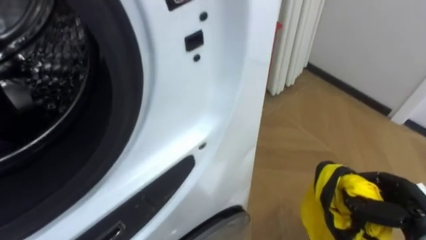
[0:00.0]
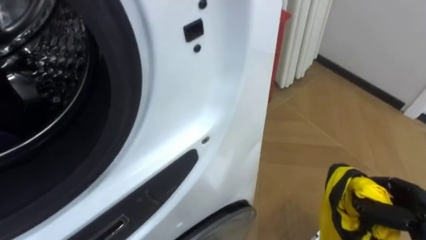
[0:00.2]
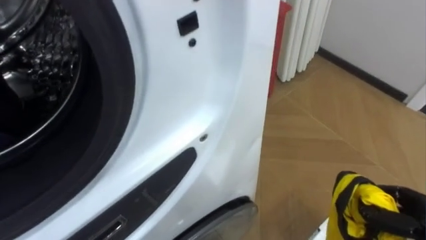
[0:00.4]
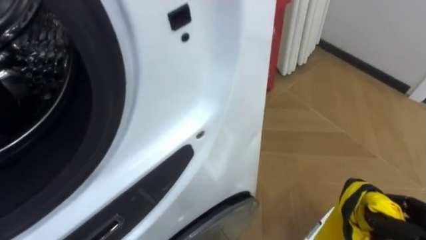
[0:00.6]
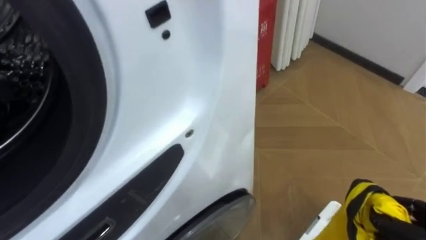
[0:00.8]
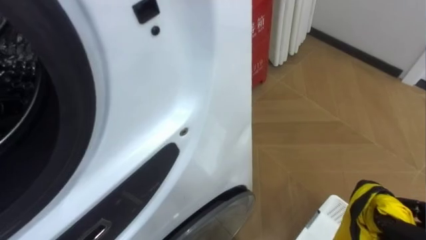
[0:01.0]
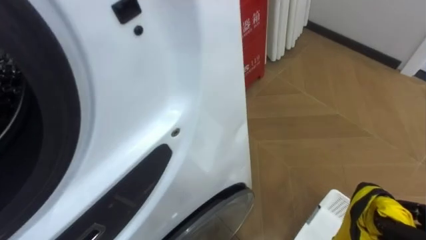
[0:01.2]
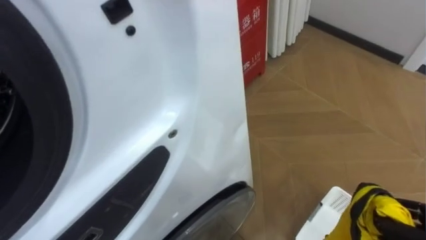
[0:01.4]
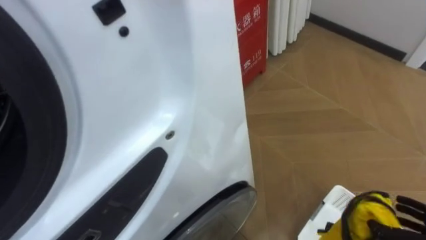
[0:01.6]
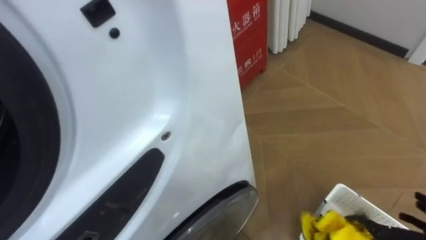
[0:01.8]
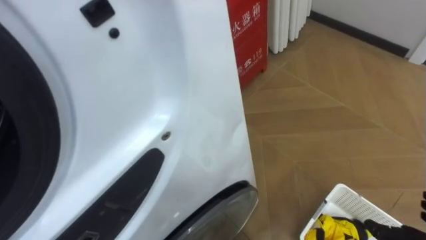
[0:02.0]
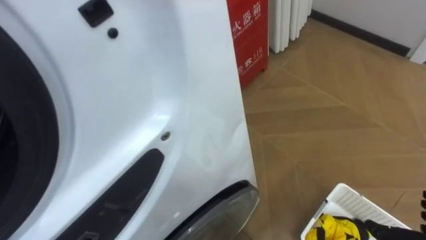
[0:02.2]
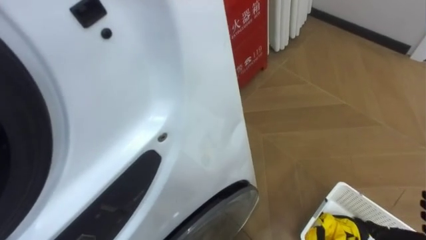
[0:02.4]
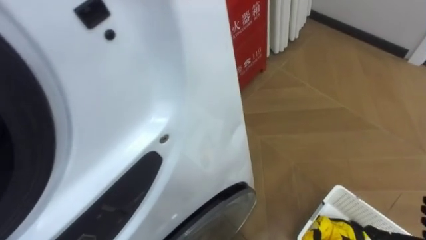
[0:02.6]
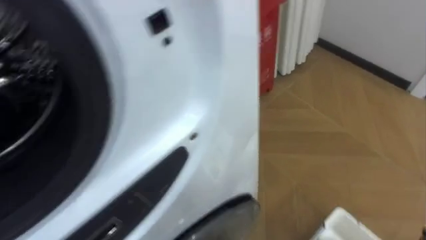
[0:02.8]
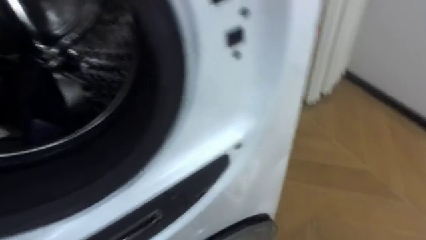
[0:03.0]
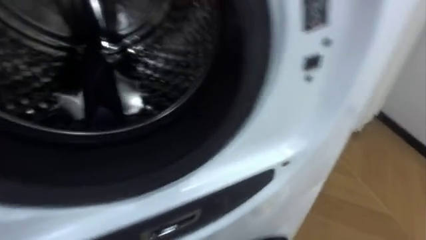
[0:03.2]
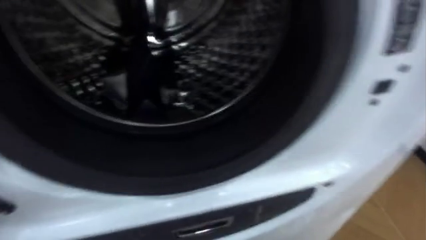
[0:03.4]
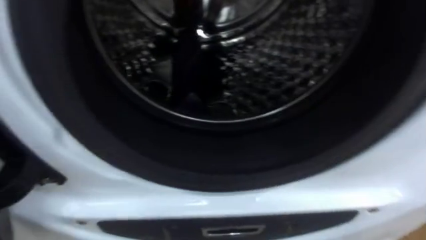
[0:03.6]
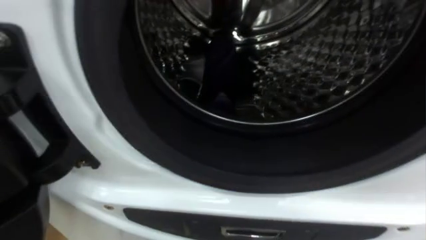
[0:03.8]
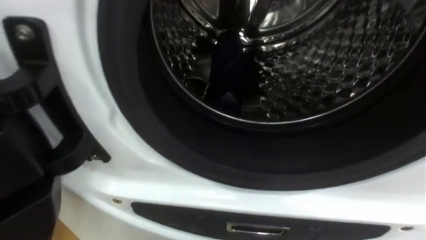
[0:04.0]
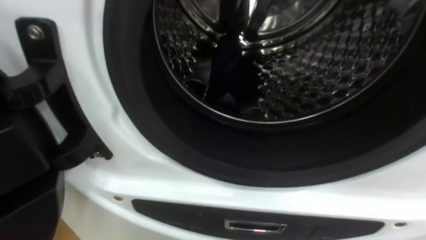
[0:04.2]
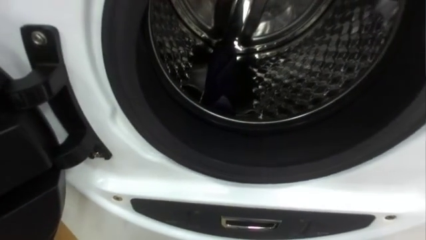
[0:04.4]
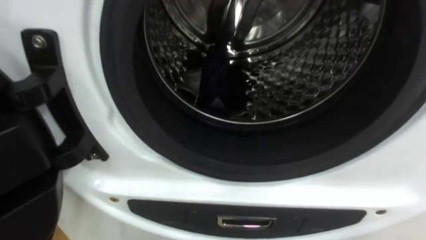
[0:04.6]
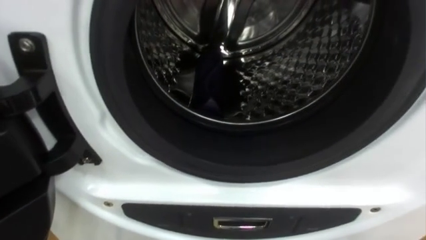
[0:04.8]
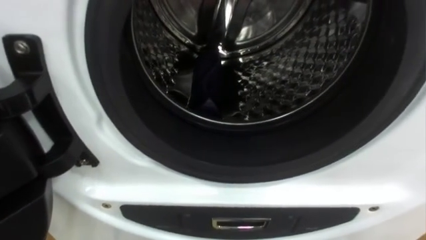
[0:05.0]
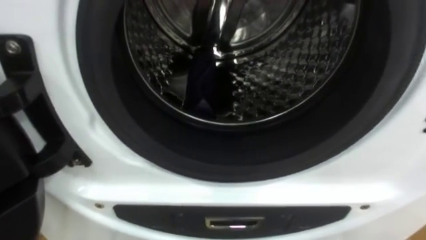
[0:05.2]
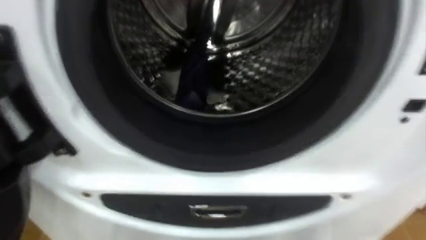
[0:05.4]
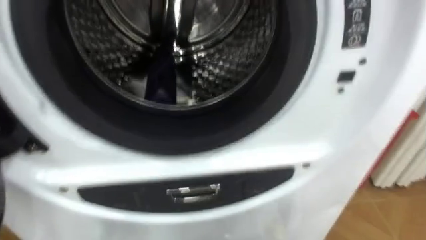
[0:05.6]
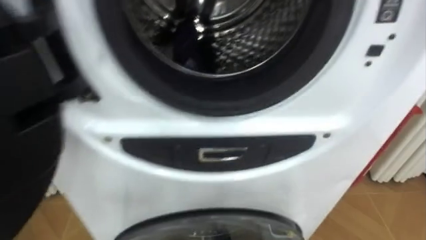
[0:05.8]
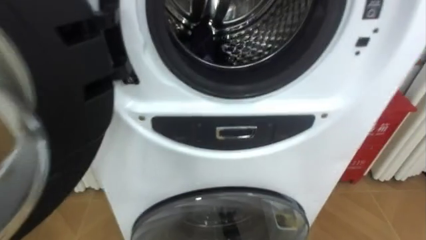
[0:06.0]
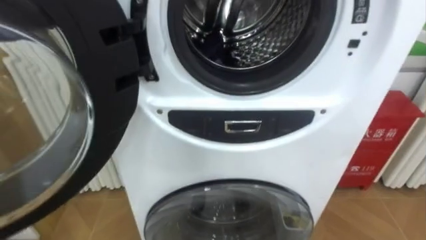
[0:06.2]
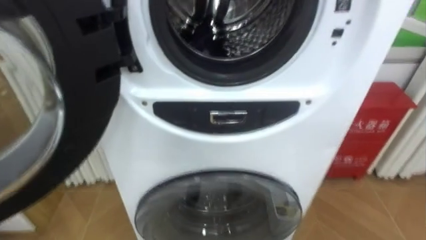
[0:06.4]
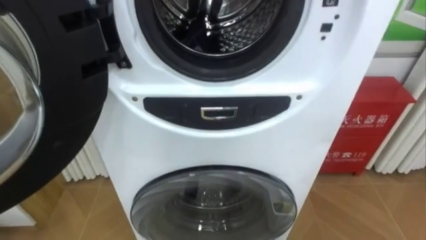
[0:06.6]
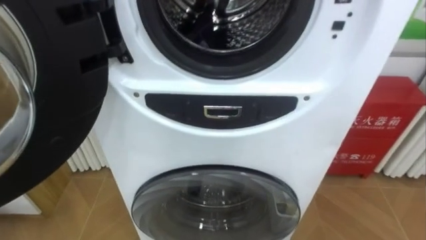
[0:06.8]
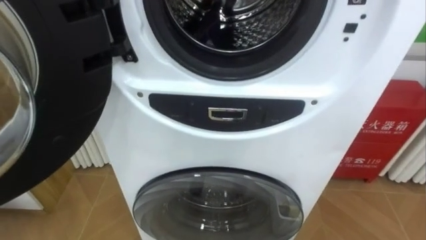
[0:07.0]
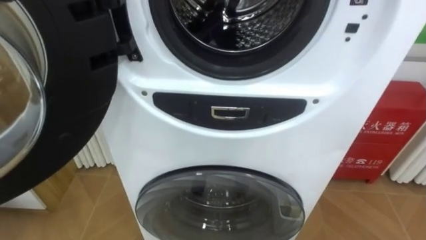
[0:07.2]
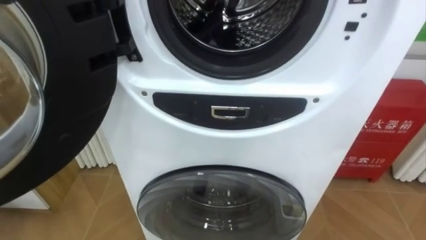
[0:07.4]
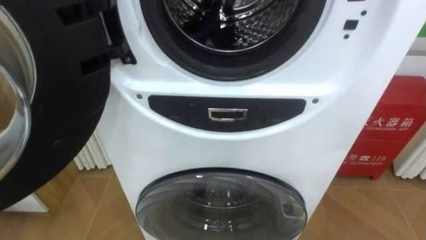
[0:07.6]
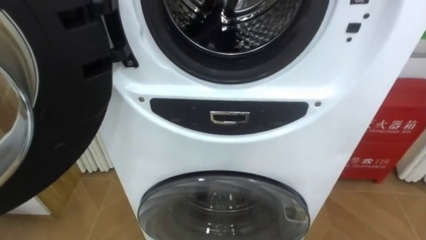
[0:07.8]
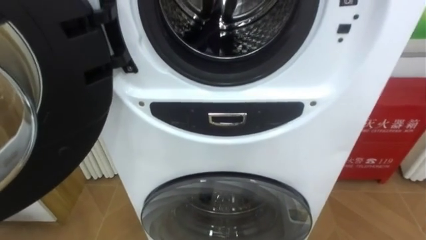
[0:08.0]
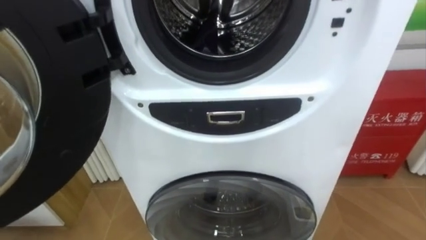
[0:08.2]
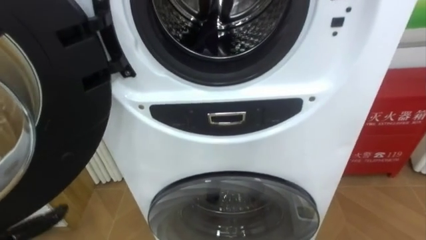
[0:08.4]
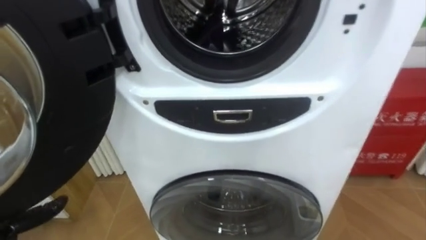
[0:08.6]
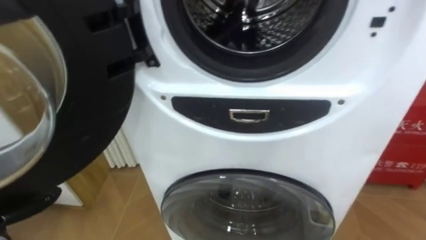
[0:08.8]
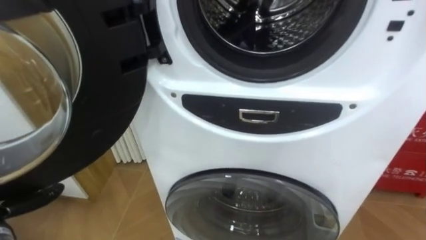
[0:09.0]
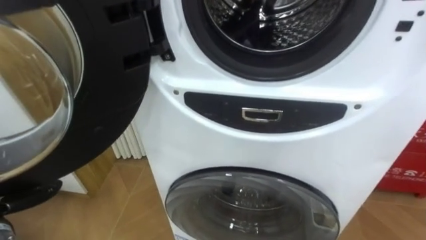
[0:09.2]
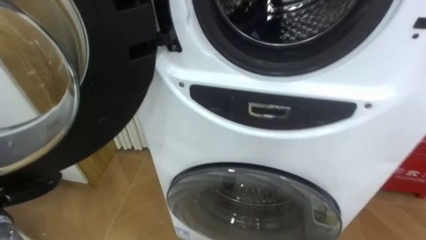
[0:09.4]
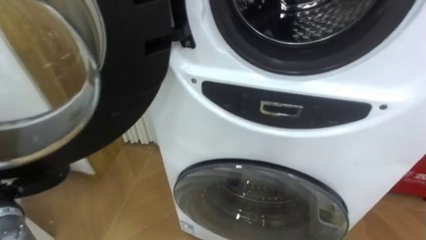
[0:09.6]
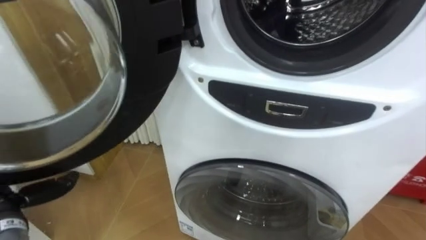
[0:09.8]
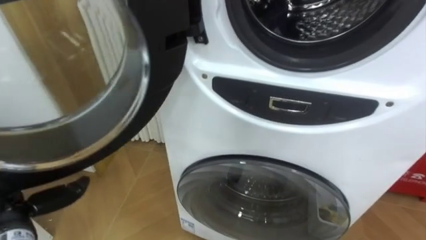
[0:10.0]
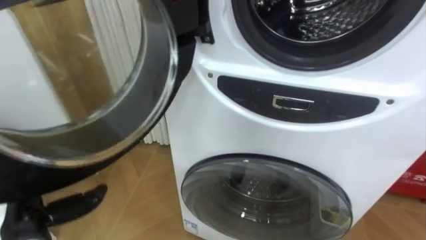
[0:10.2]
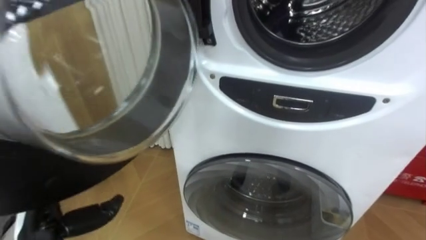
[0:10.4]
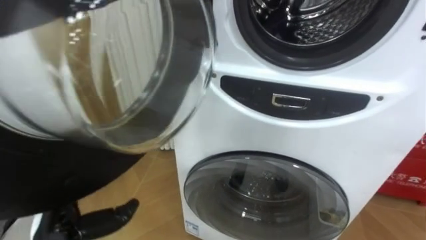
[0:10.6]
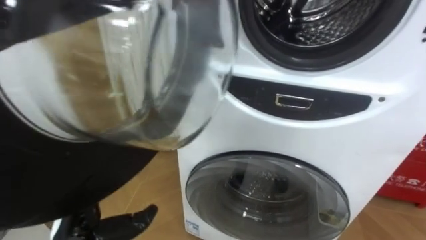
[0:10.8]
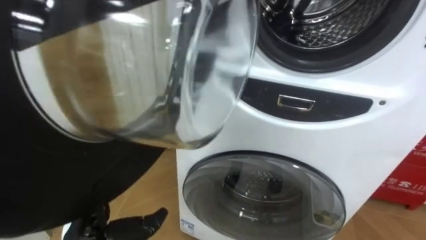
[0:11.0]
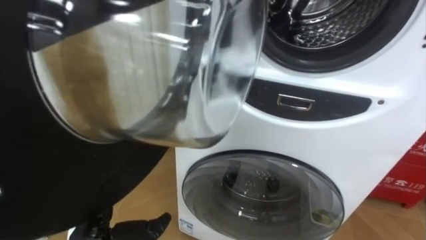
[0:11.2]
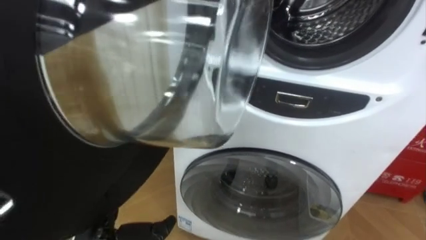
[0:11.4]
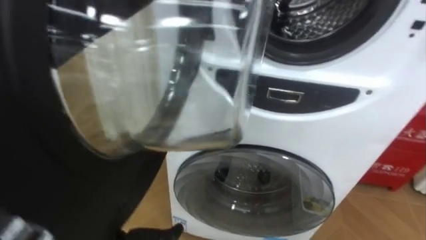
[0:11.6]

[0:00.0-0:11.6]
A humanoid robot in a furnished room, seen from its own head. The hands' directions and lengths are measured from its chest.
Task of the whole recording: Open the washing machine door, take out the yellow clothes, place them in the box on the right, and close the washing machine door.
0:10.2 to 0:11.6: The left hand travels to the right by about 10 cm.

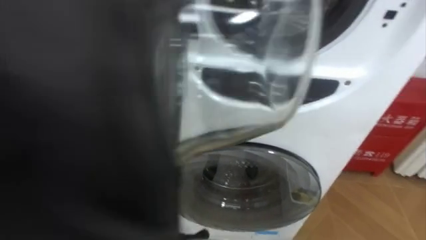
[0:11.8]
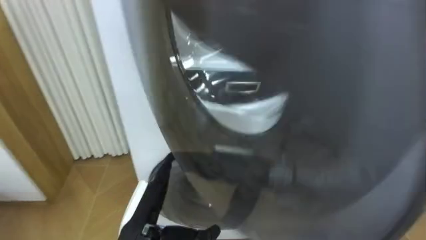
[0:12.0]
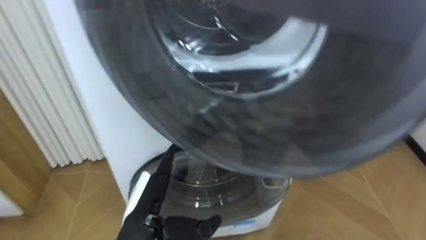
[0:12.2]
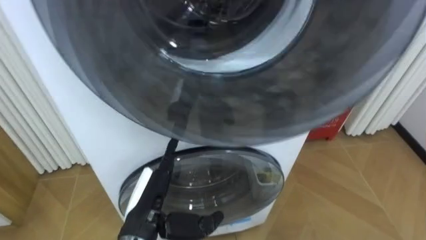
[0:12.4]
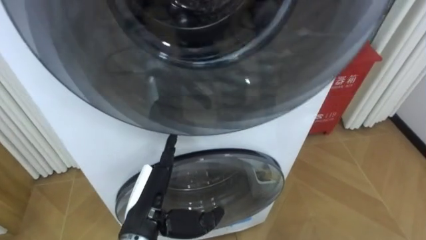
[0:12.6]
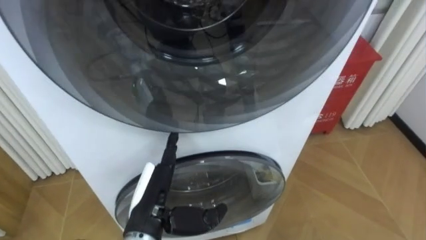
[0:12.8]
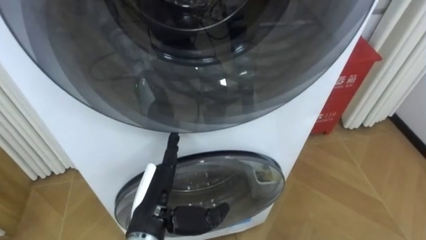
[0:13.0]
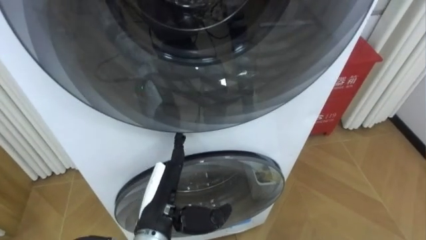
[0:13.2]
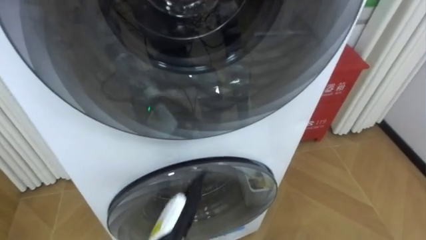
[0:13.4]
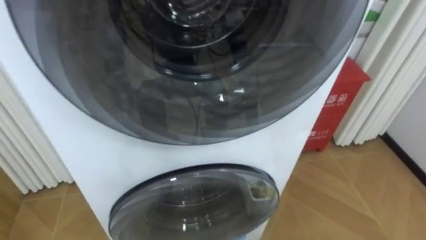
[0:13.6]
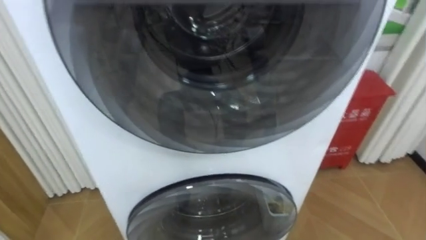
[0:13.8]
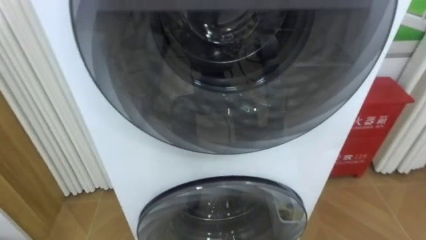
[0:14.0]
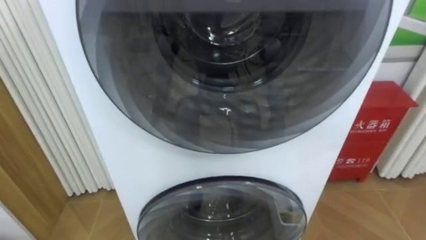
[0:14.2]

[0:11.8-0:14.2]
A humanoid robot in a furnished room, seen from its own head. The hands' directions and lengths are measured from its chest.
Task of the whole recording: Open the washing machine door, take out the yellow clothes, place them in the box on the right, and close the washing machine door.
0:11.8 to 0:13.0: The left hand changes place by about 5 cm.

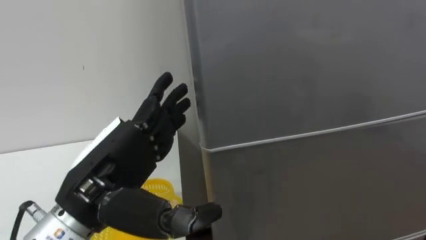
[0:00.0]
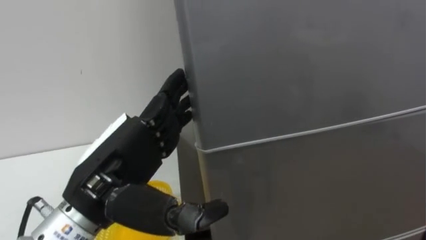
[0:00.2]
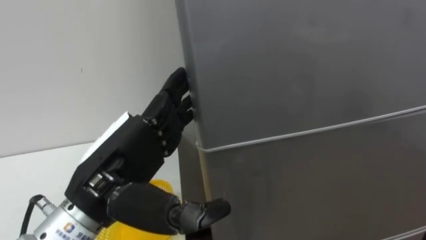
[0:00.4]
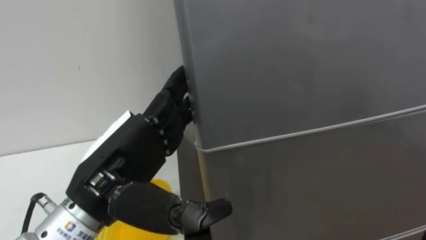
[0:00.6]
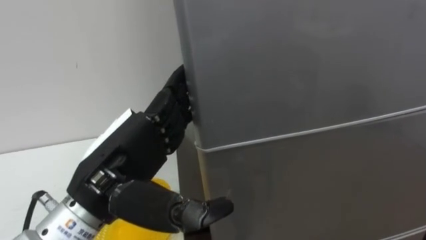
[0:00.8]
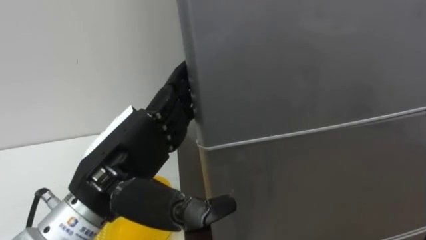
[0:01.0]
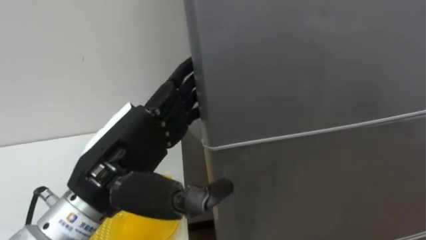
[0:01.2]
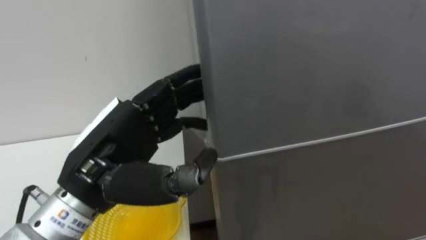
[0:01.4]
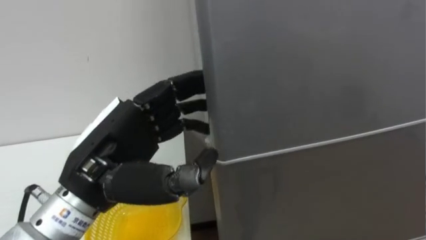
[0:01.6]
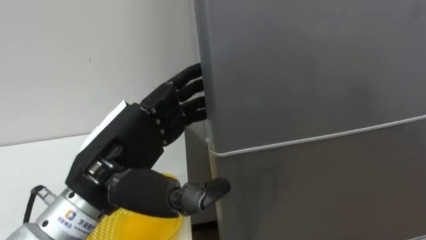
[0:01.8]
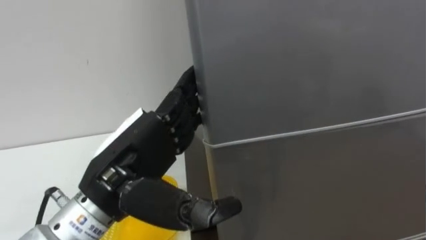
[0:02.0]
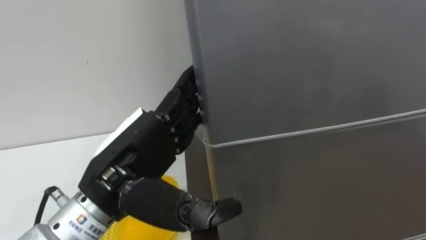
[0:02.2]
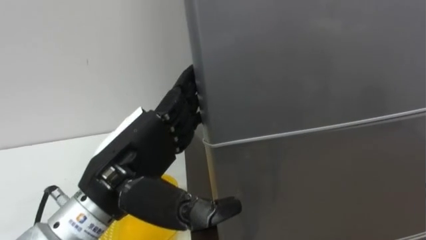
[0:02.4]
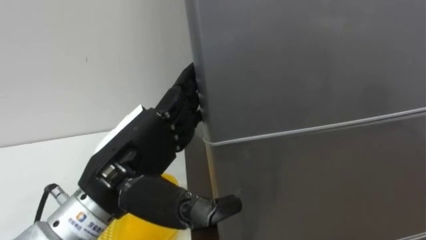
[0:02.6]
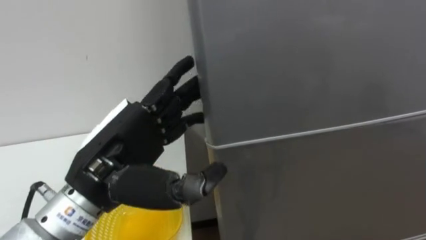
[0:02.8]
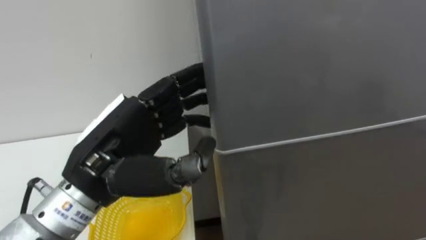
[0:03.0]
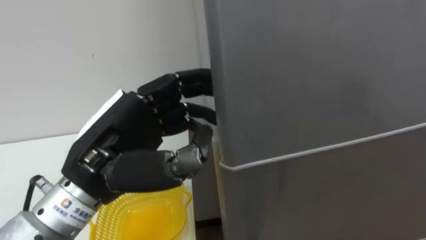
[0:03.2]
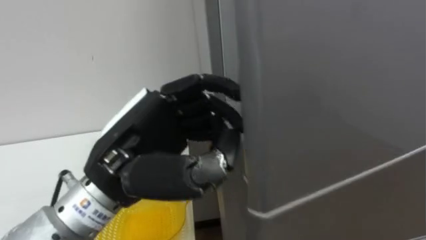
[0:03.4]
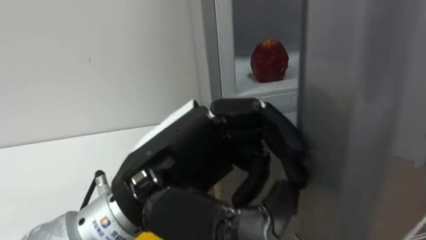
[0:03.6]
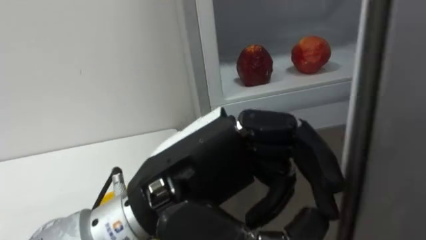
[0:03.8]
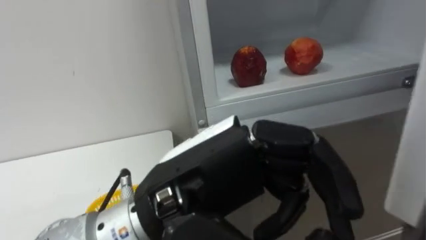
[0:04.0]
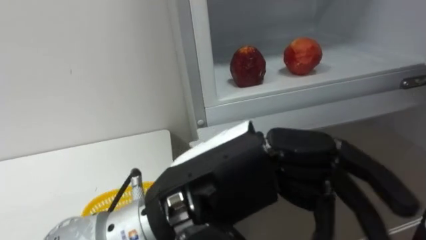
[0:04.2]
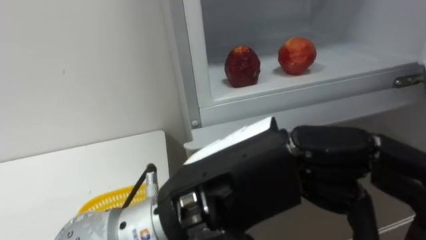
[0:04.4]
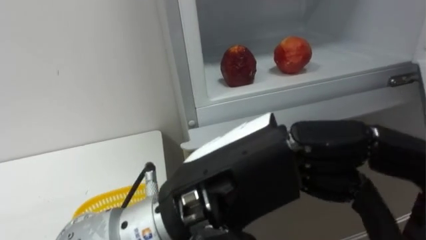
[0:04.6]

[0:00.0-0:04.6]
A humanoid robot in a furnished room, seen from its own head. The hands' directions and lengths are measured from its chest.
Task of the whole recording: Open the refrigerator door, take out the apple and the pomegranate, place them in the fruit basket on the left, and close the refrigerator door.
0:03.0 to 0:04.6: The left hand moves to the right and backward, about 15 cm, and closes and opens again.
